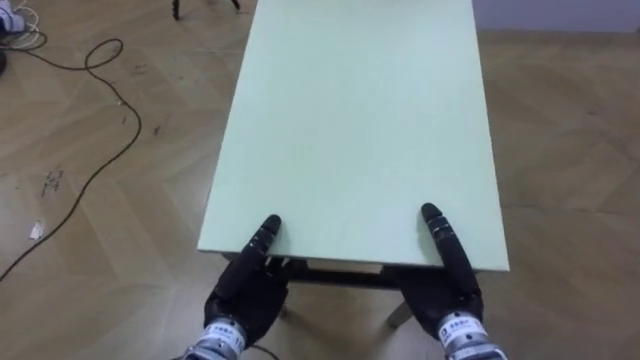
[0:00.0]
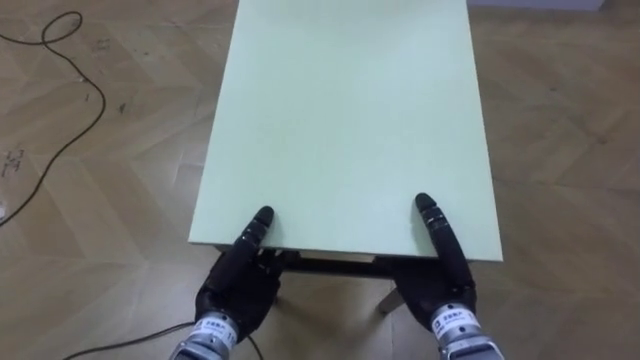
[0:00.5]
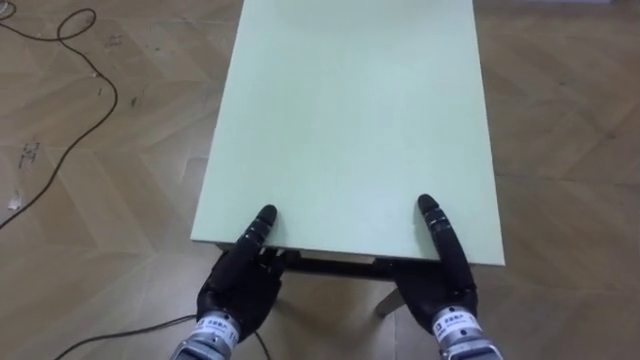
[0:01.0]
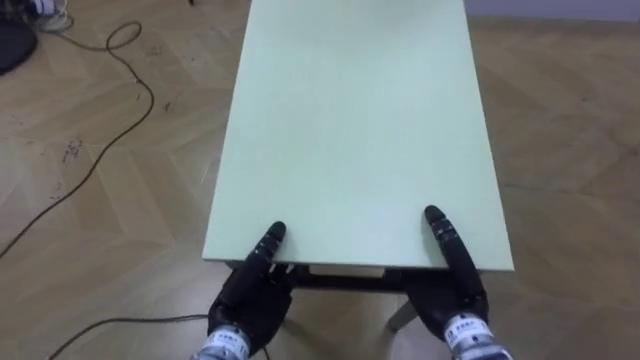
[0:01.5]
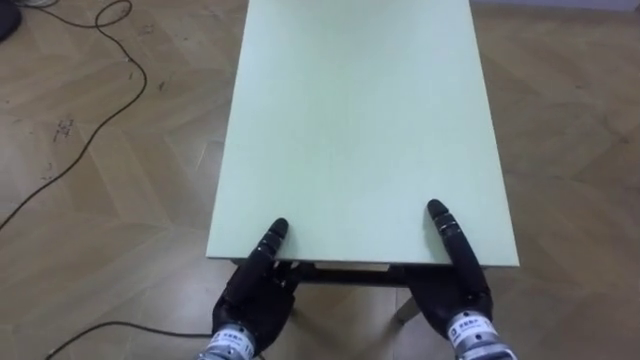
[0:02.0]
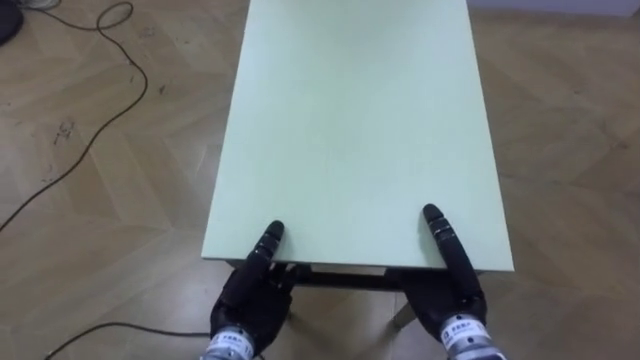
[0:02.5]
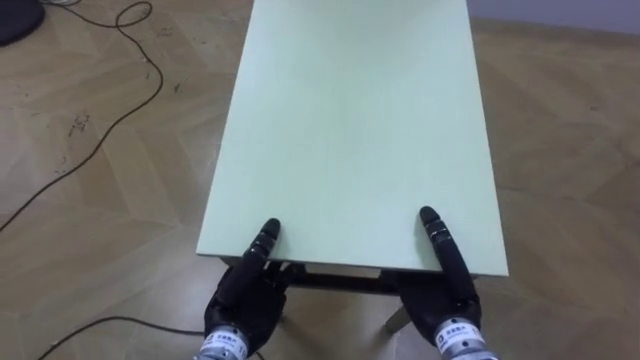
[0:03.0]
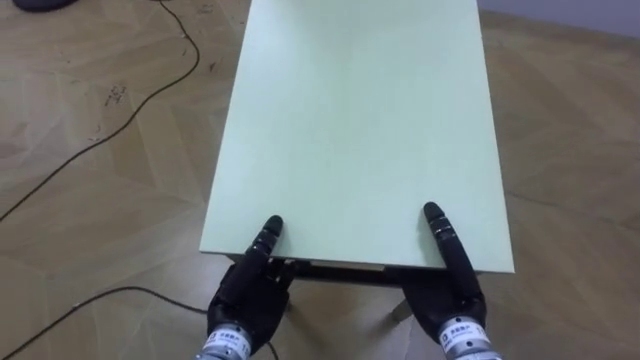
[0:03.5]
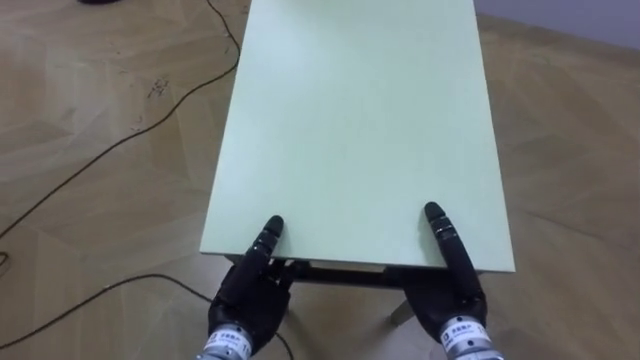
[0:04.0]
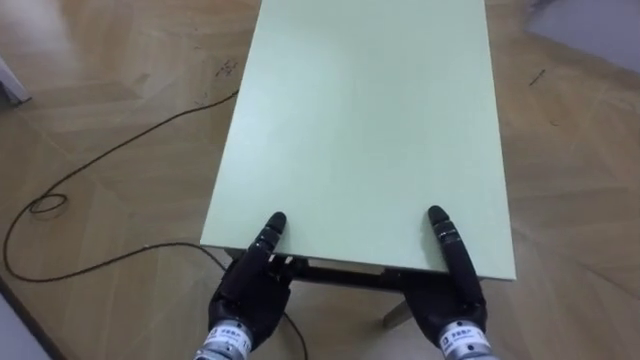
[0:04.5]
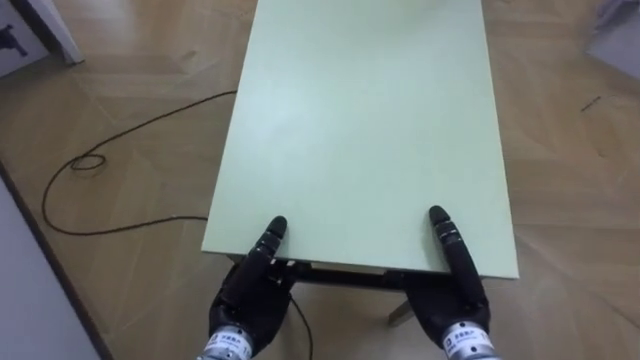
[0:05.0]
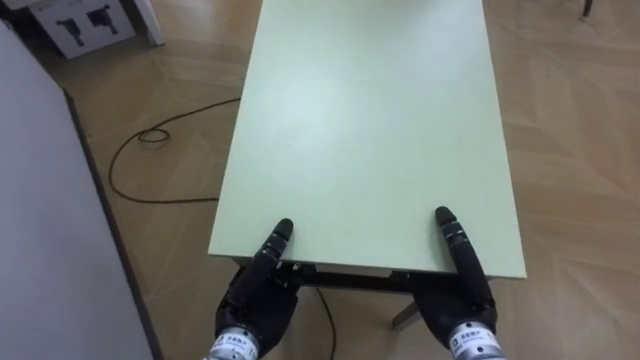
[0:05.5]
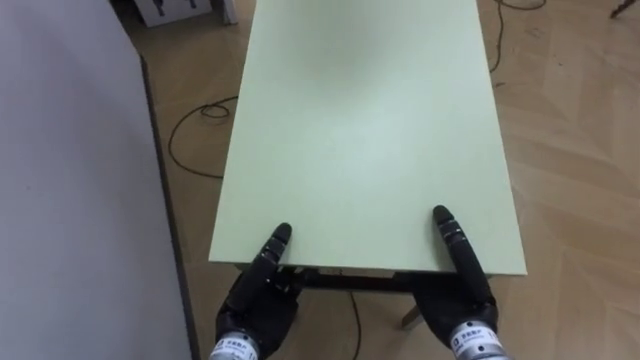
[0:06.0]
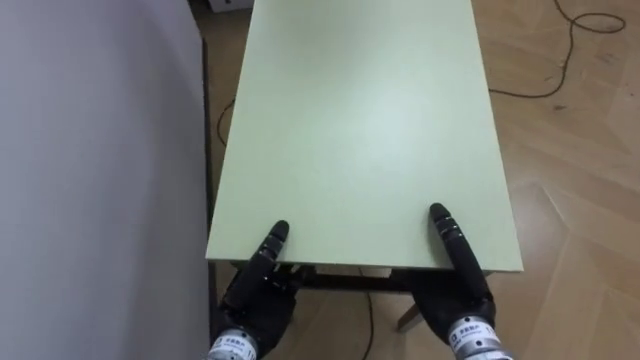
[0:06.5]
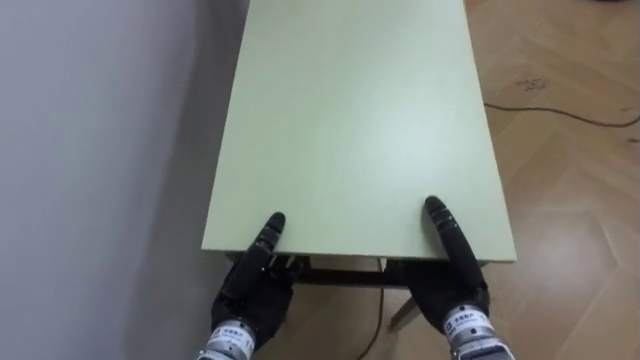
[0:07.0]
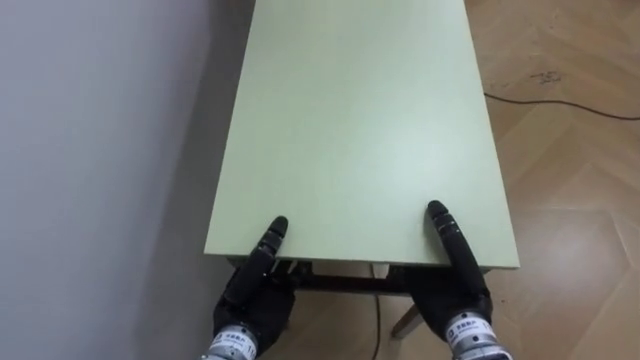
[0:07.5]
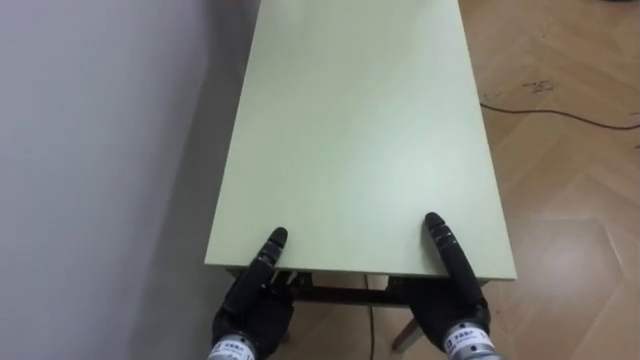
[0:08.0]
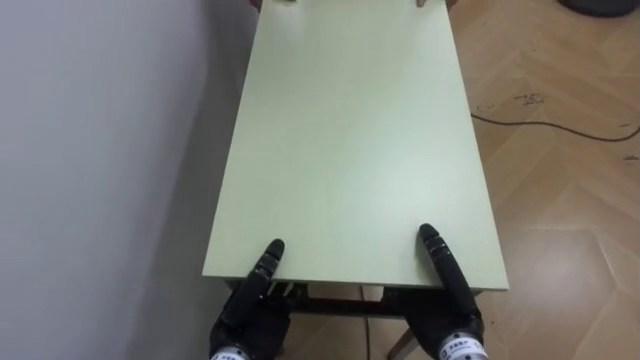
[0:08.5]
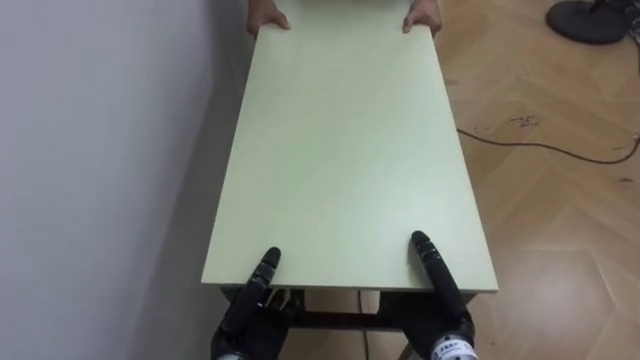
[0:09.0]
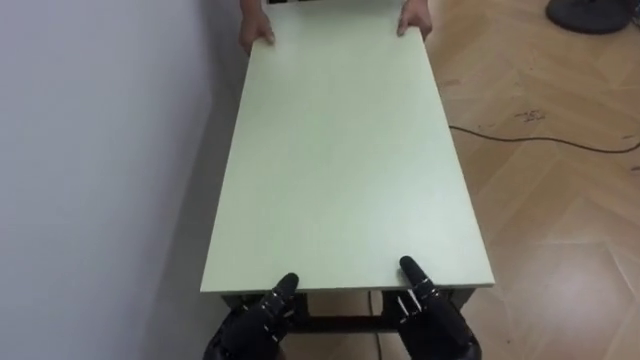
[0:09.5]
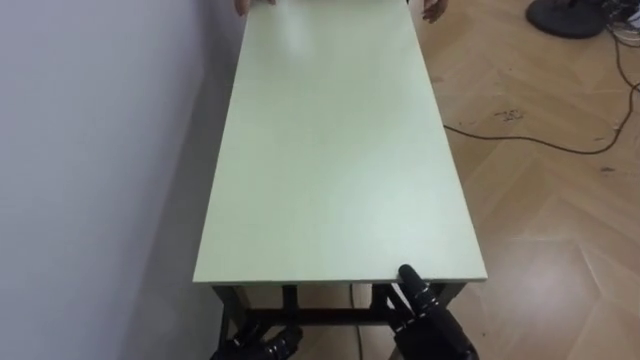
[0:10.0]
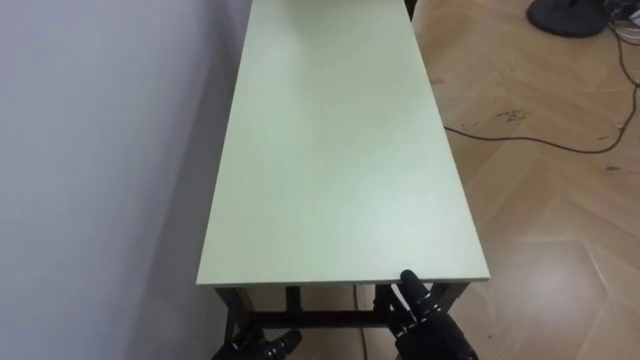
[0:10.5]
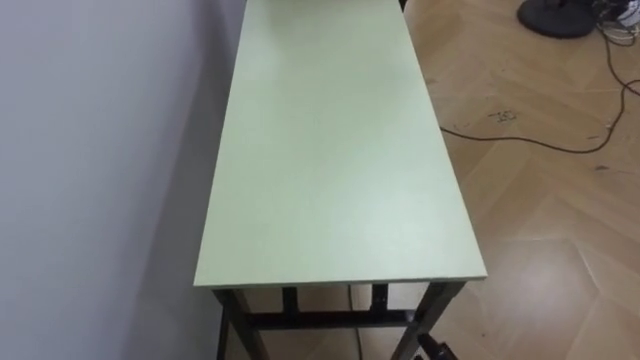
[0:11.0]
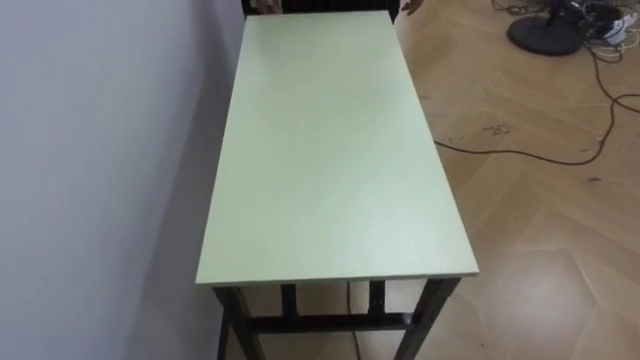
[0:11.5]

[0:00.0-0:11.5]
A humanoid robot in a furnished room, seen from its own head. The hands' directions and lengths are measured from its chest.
Task of the whole recording: Move the table to the back left with someone.
0:02.0 to 0:04.0: The robot rotates approximately 15 degrees to its left.
0:04.0 to 0:06.0: The robot faces approximately 40 degrees further to its left.
0:06.0 to 0:07.5: The robot faces approximately 25 degrees further to its left.
0:07.5 to 0:09.5: Both hands move downward, some 5 cm. The right hand opens up.

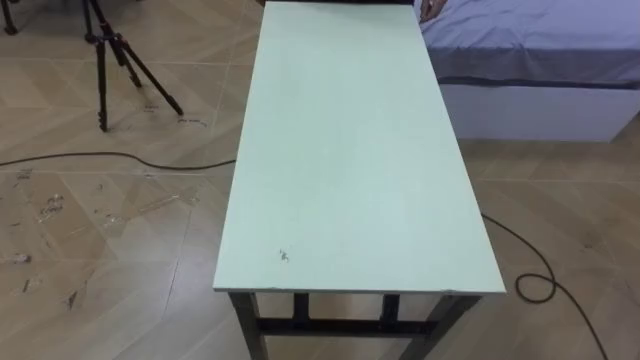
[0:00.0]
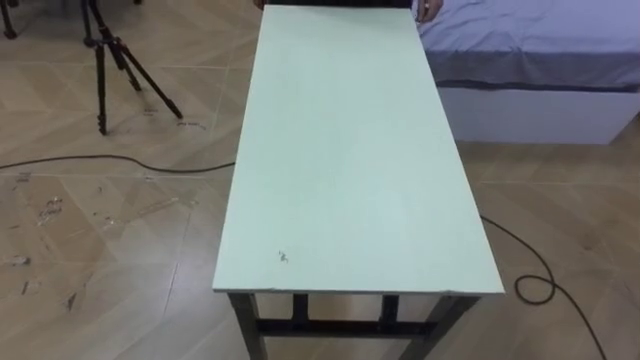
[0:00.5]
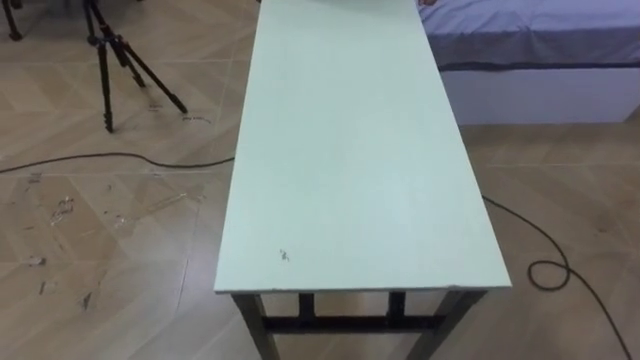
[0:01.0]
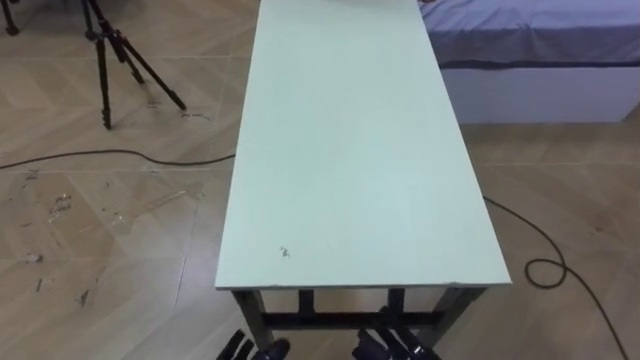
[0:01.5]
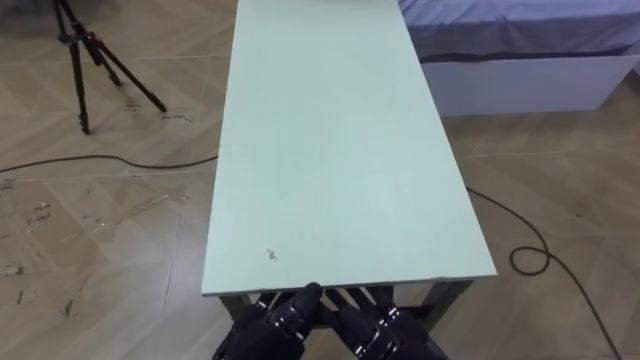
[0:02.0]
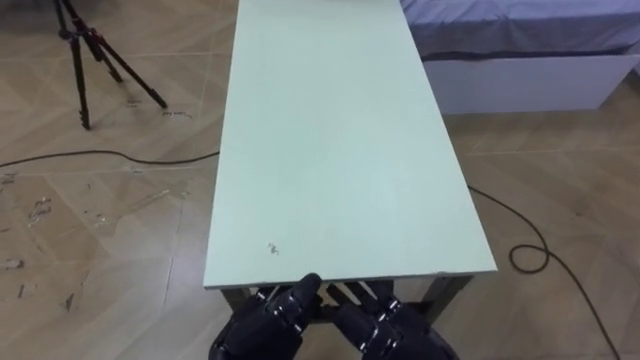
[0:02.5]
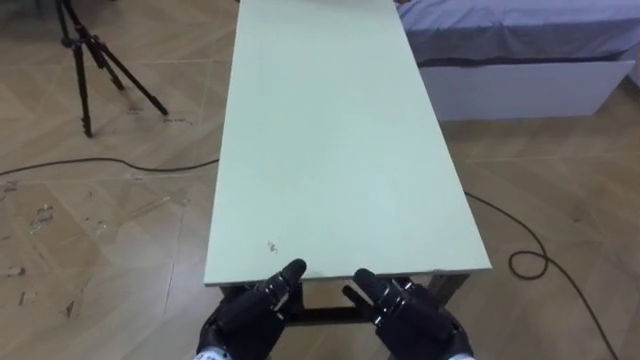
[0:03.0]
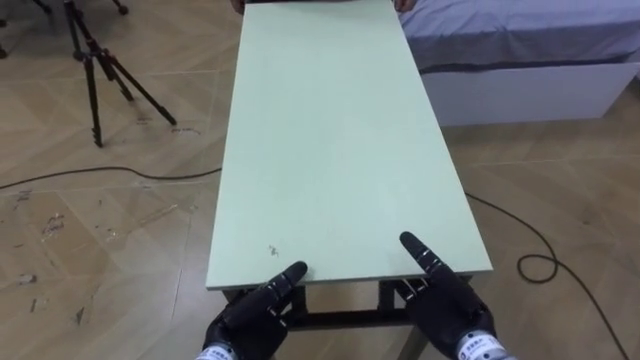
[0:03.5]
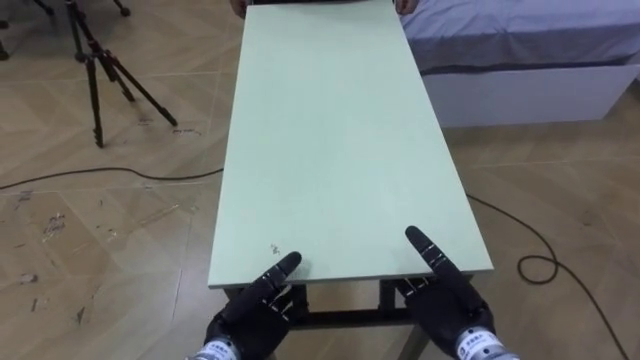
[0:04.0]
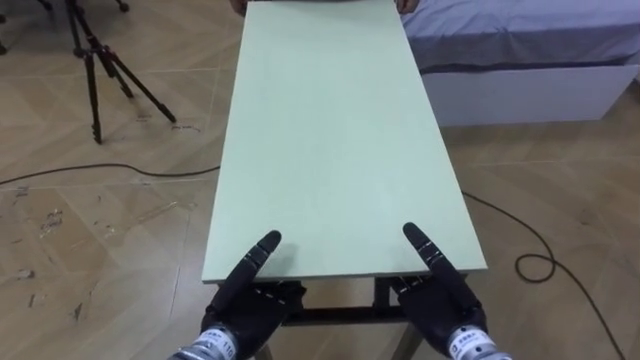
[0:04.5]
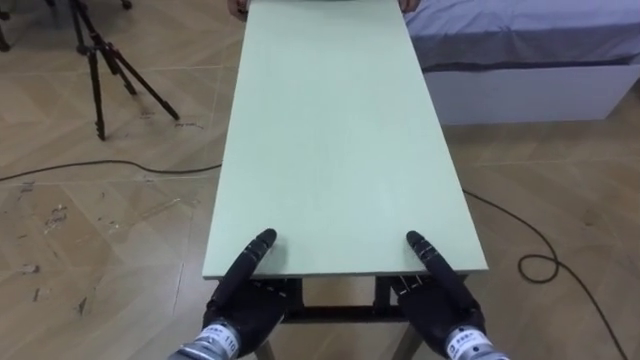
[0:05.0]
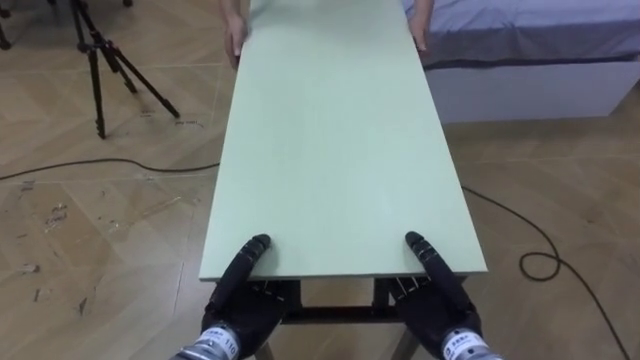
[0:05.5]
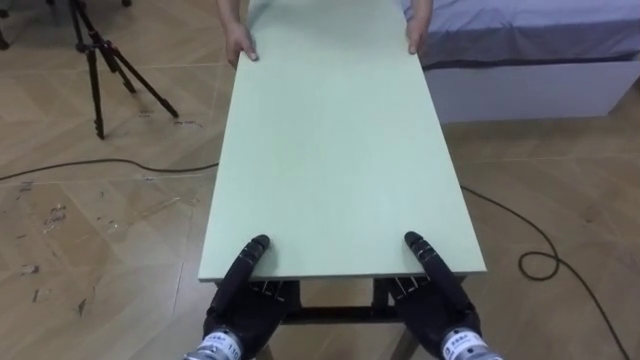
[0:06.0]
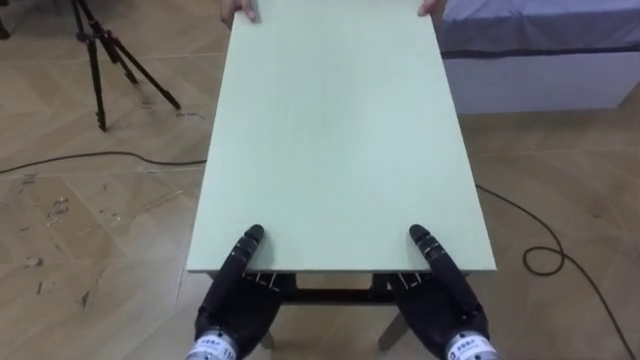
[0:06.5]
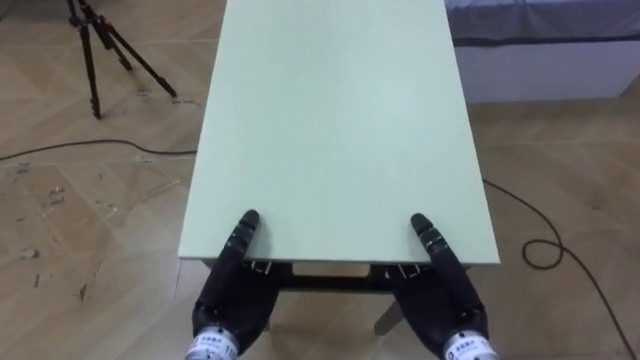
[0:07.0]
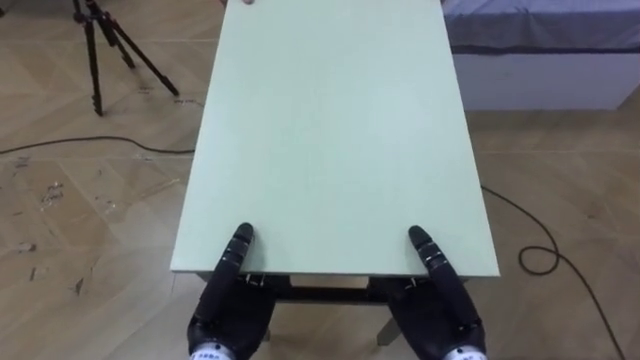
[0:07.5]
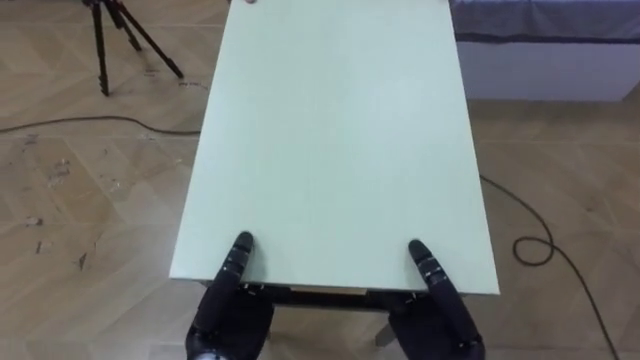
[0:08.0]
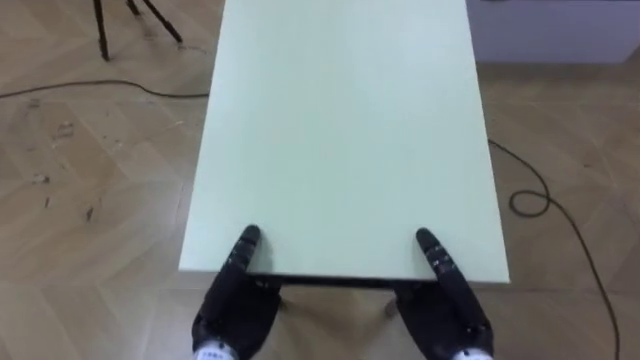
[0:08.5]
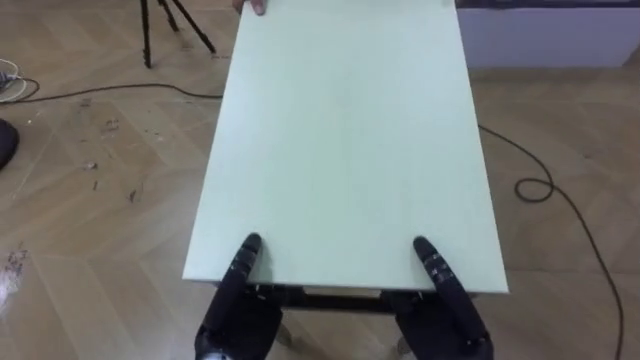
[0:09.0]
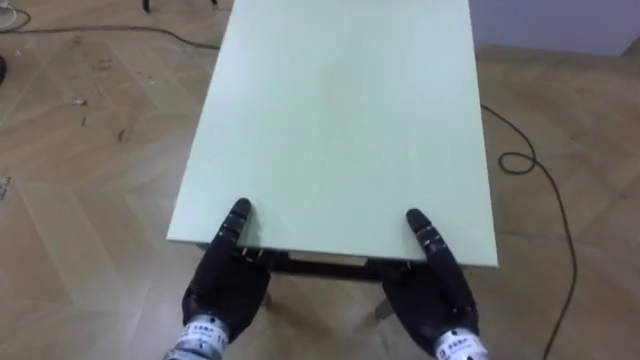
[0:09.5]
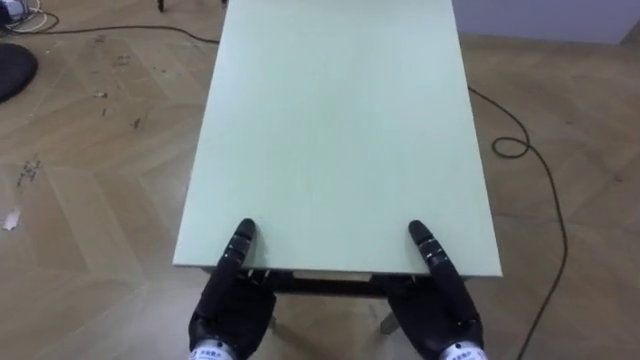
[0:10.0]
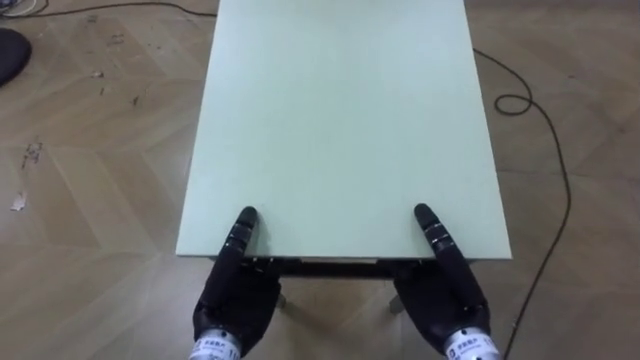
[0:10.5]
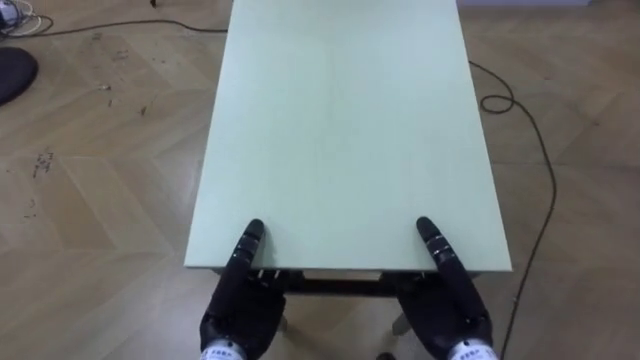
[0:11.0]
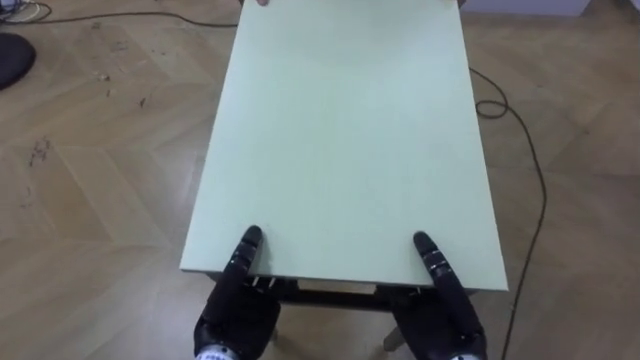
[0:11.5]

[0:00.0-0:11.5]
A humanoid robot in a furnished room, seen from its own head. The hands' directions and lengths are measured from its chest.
Task of the whole recording: Move the table to the back left with someone.
0:02.0 to 0:04.0: The right hand is displaced forward and to the right by about 10 cm. Meanwhile the left hand moves approximately 5 cm.
0:04.0 to 0:06.0: The right hand closes its fingers. Meanwhile the left hand closes up.
0:06.0 to 0:07.5: The right hand ends up some 5 cm from where it was.
